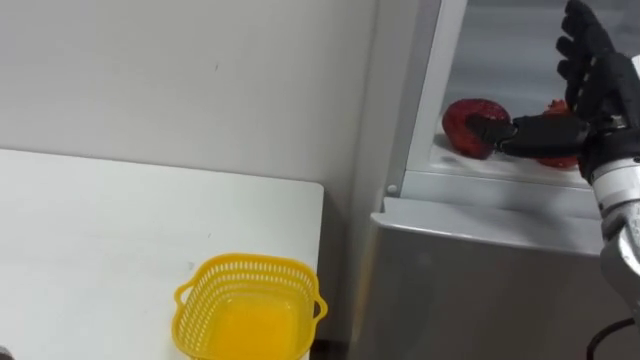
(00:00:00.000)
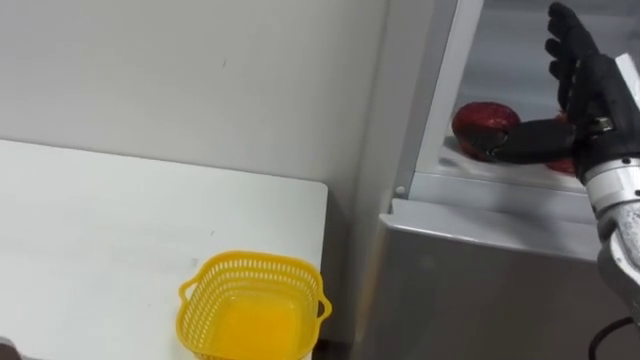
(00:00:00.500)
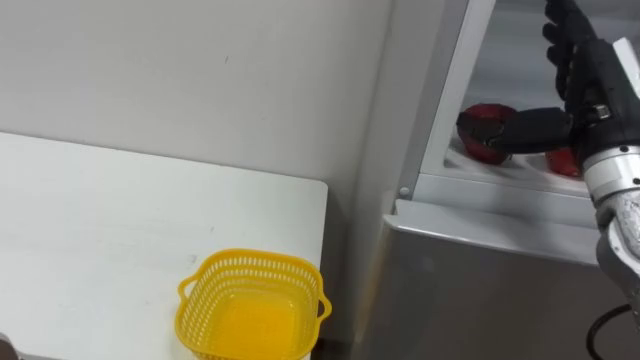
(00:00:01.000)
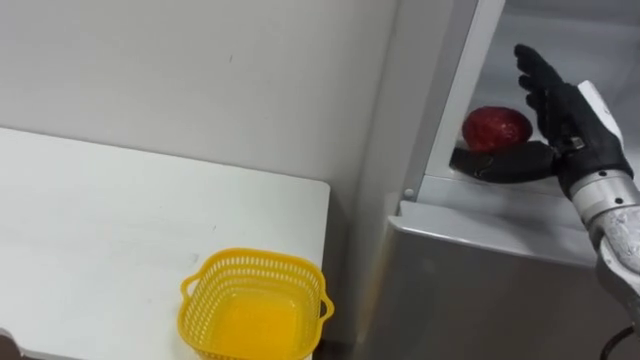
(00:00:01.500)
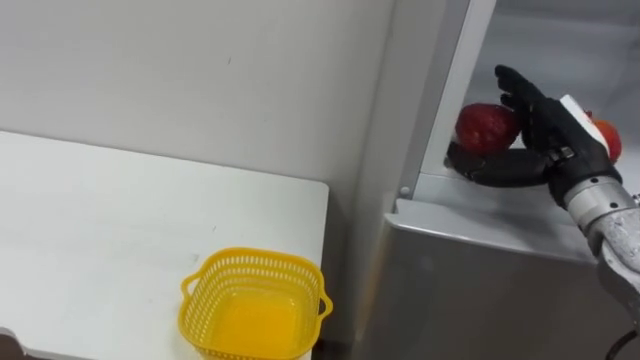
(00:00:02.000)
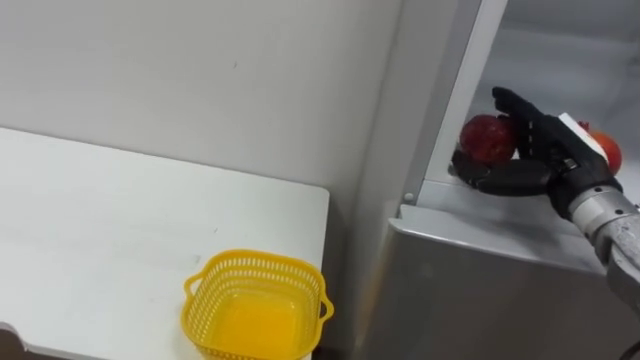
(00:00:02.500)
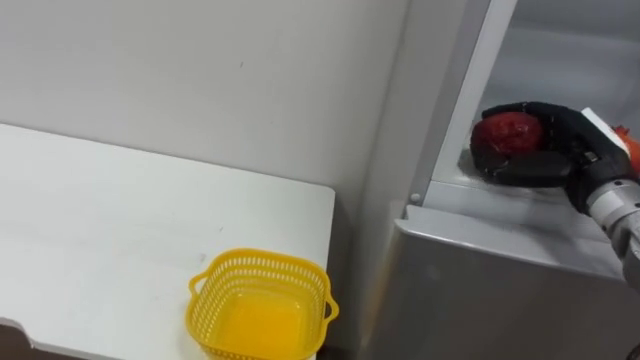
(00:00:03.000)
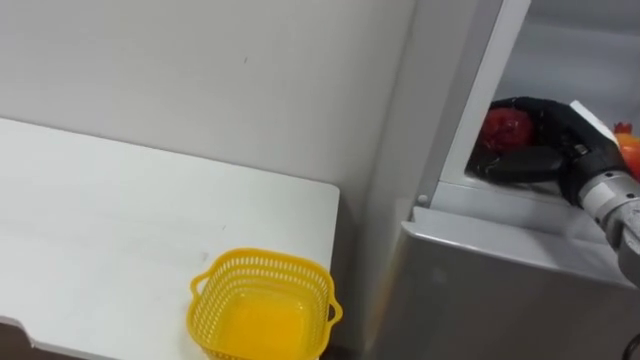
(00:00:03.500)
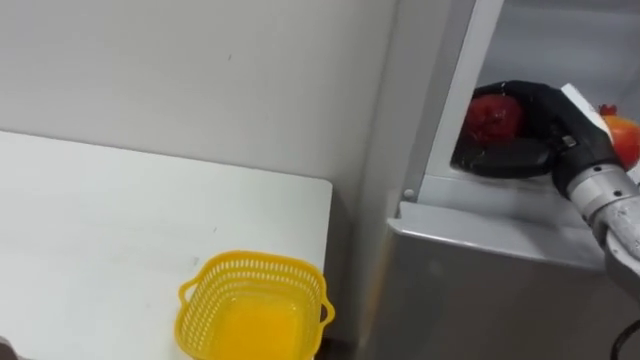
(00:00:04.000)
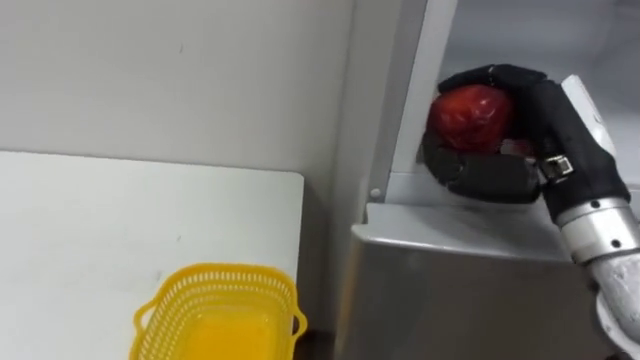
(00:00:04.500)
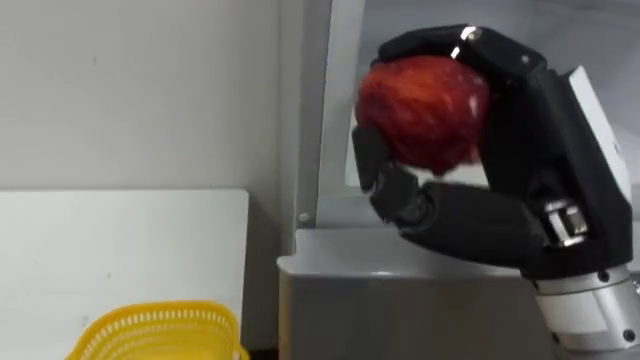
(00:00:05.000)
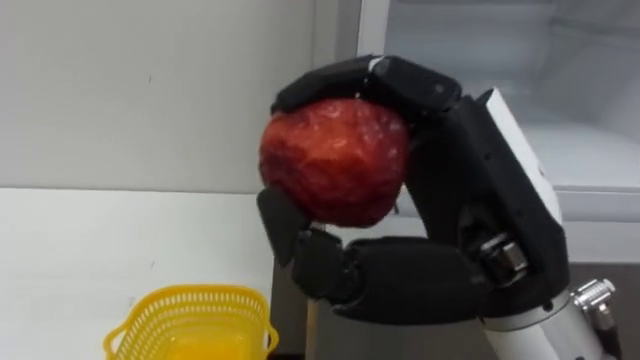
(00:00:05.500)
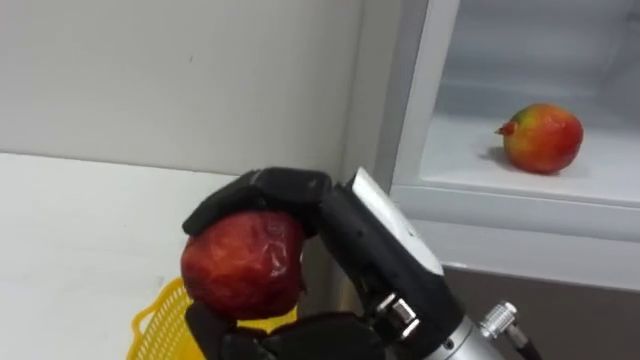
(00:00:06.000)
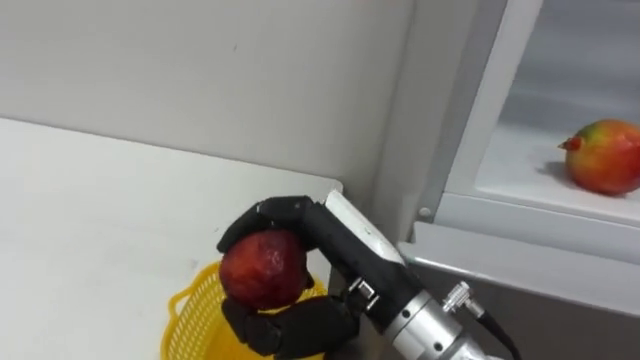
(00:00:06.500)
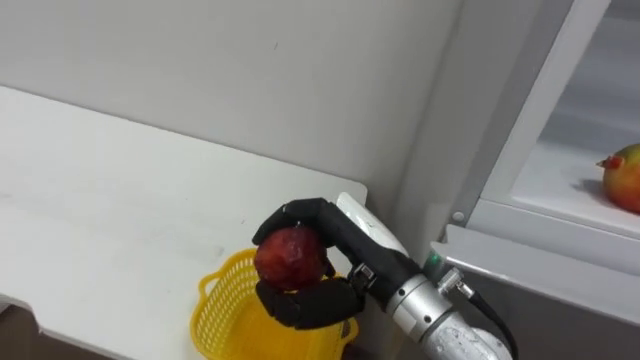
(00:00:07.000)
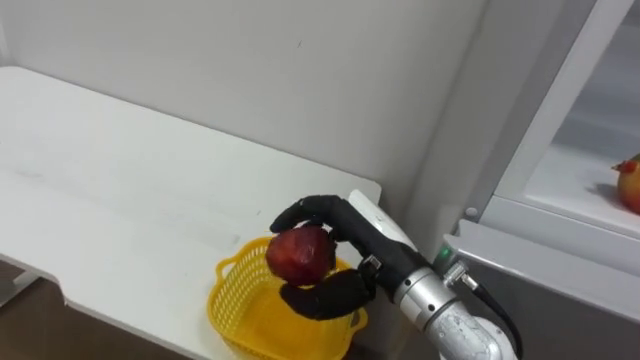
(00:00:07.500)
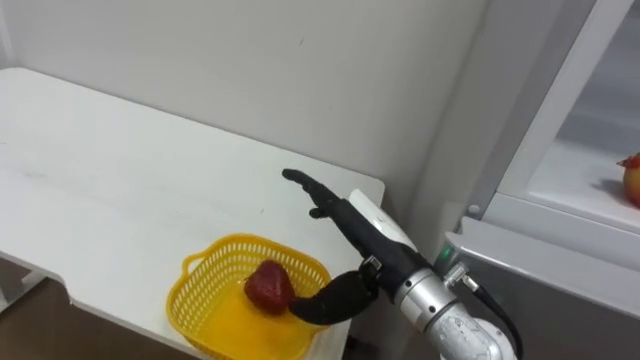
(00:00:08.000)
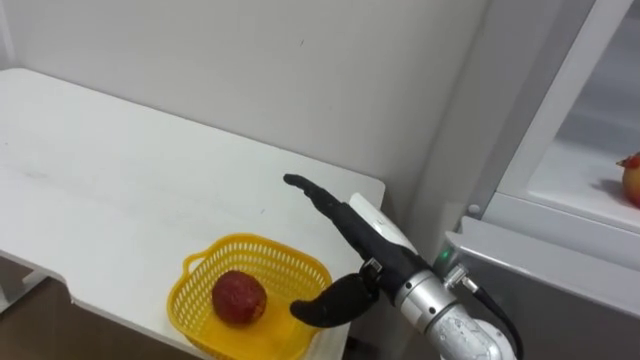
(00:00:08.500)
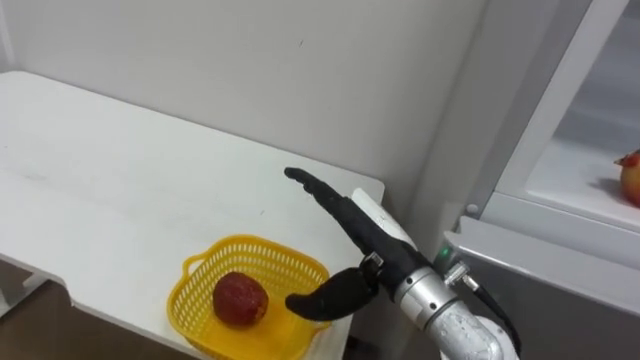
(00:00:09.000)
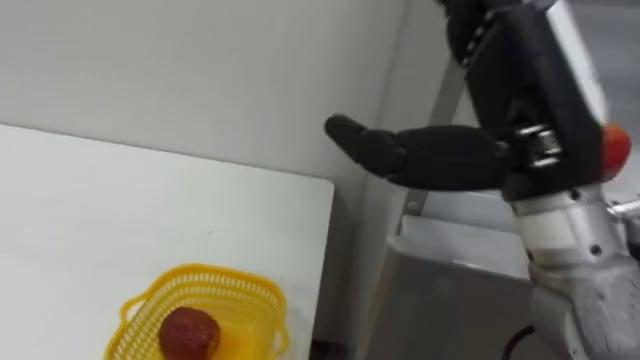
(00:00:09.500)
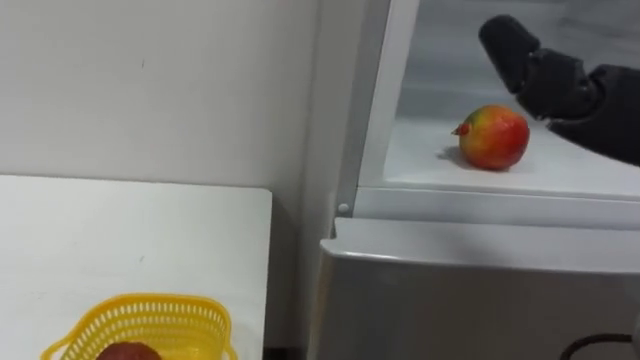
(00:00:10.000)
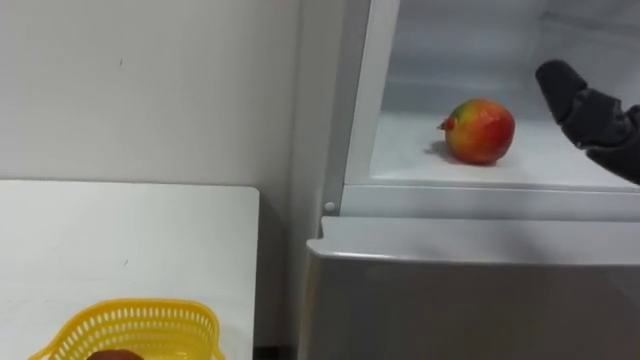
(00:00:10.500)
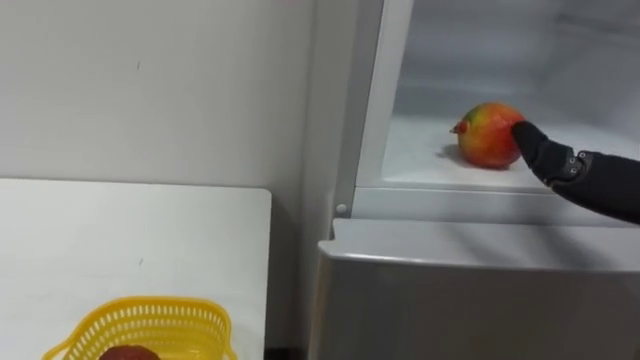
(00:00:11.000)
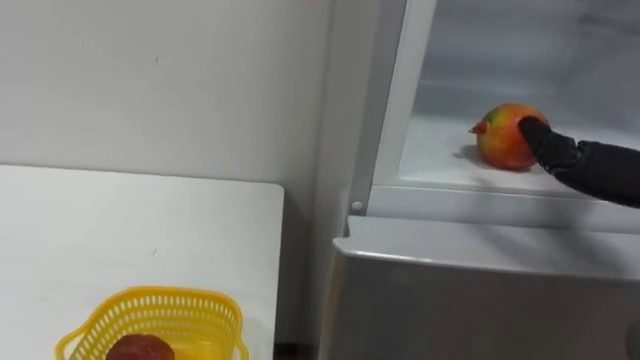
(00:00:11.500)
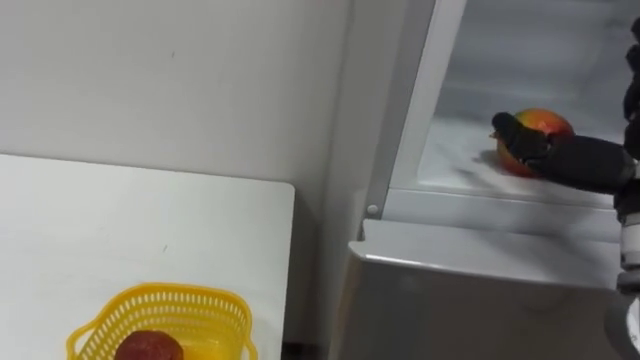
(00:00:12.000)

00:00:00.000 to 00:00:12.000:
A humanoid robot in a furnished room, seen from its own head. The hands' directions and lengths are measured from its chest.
Task of the whole recording: Open the refrigerator door, take out the apple and the pomegranate, place them in the fruit basket on the left, and close the refrigerator door.
00:00:00.000 to 00:00:02.000: The right hand changes place by roughly 5 cm.
00:00:02.000 to 00:00:04.000: The right hand closes its fingers.
00:00:04.000 to 00:00:06.000: The right hand is displaced to the left and backward by about 25 cm.
00:00:06.000 to 00:00:08.000: The right hand travels forward and downward by about 15 cm, and opens its fingers.

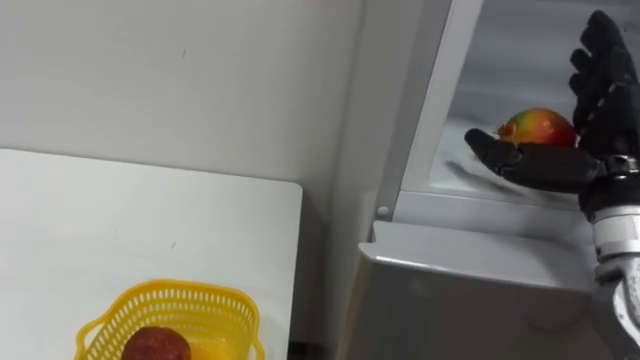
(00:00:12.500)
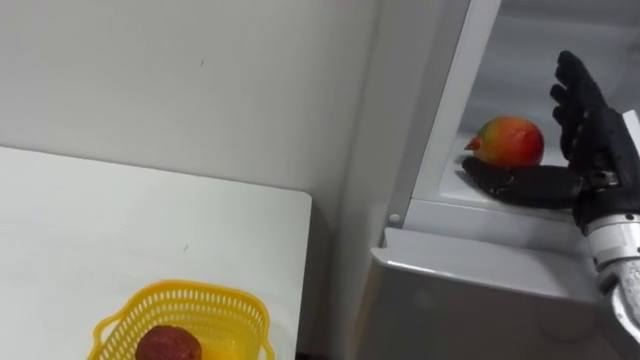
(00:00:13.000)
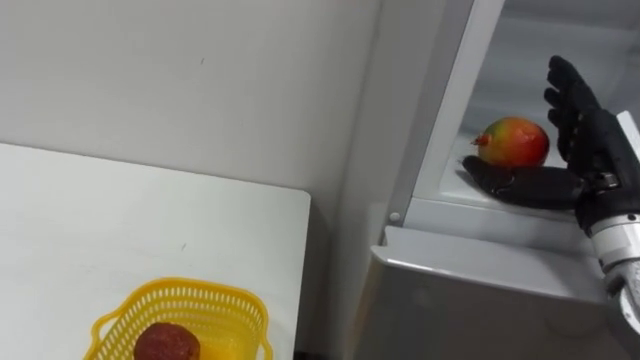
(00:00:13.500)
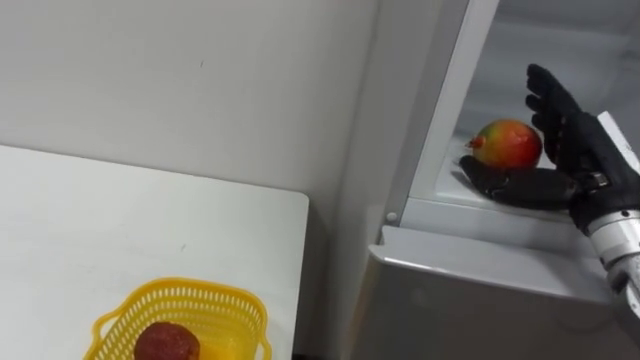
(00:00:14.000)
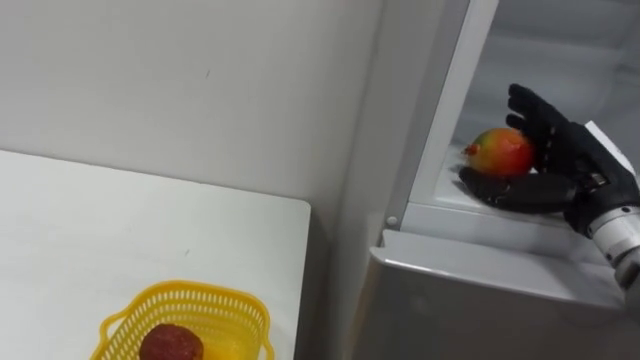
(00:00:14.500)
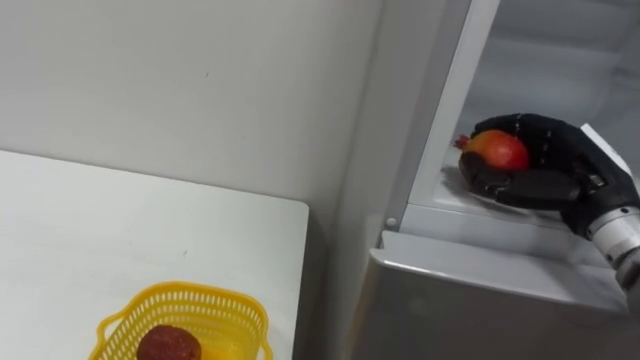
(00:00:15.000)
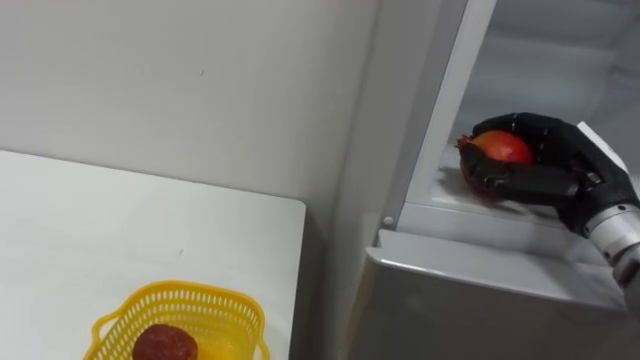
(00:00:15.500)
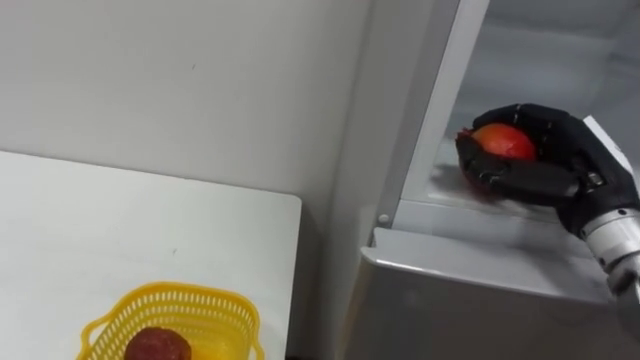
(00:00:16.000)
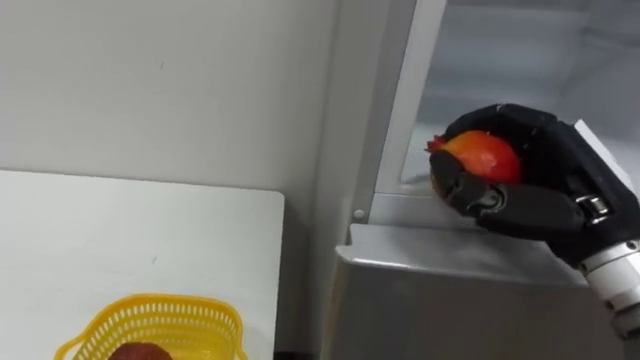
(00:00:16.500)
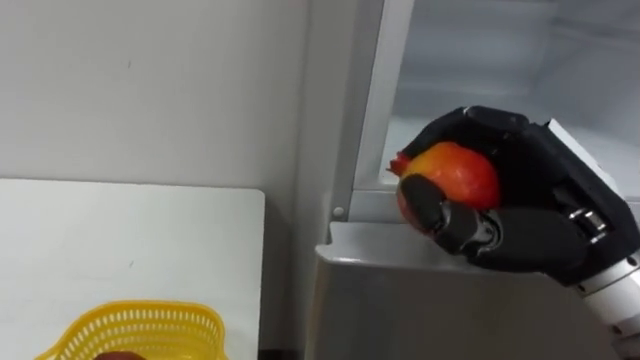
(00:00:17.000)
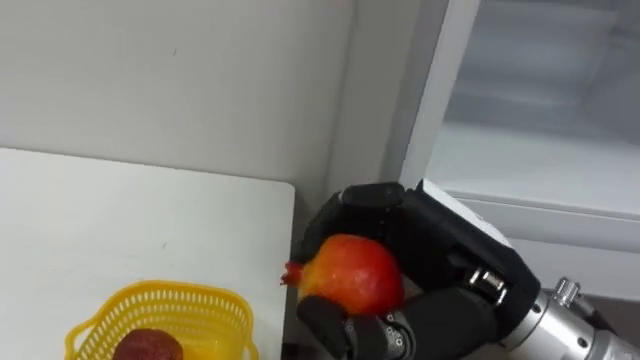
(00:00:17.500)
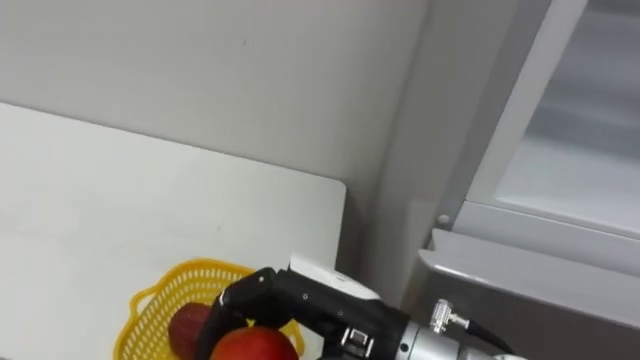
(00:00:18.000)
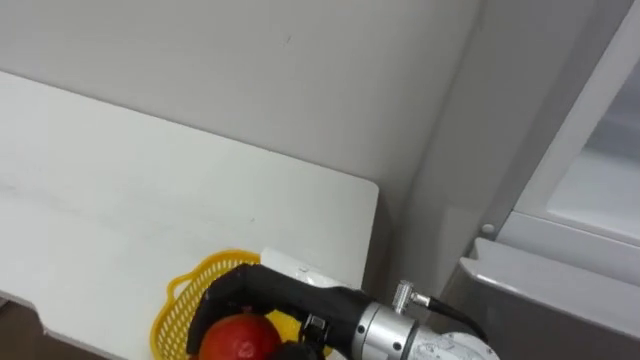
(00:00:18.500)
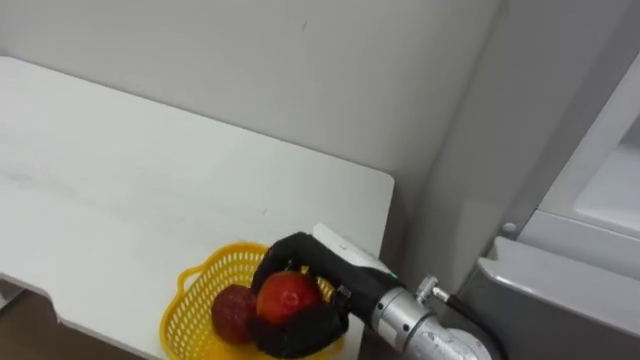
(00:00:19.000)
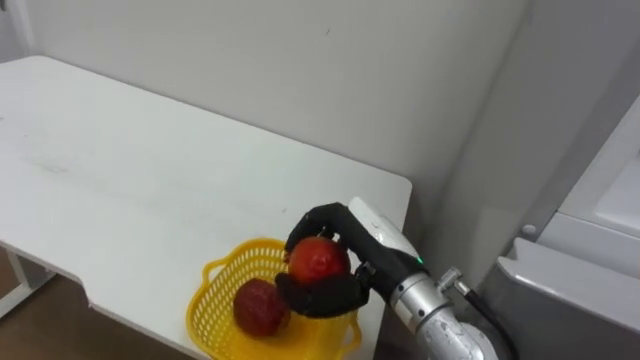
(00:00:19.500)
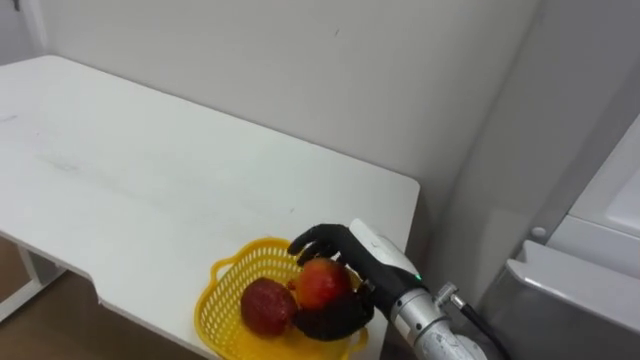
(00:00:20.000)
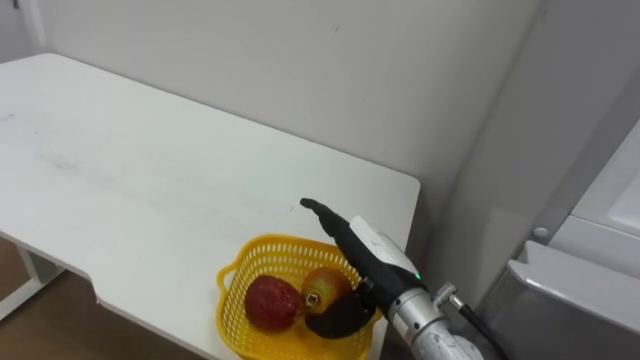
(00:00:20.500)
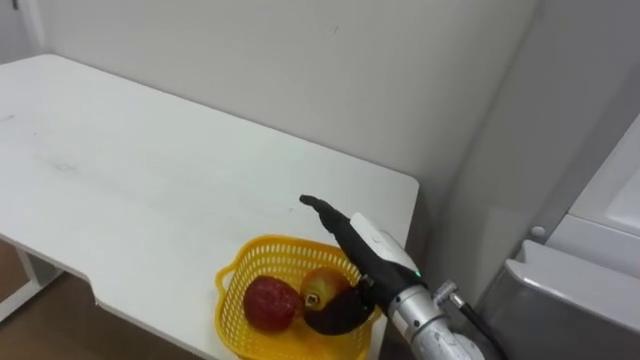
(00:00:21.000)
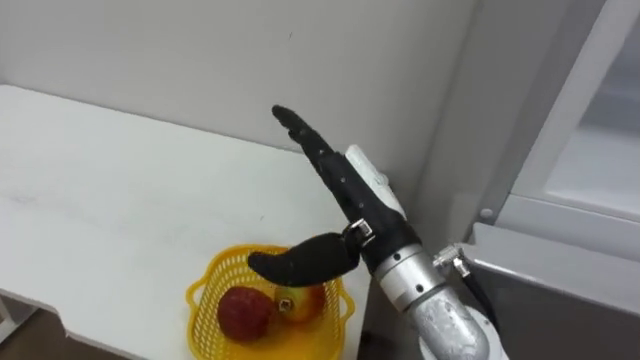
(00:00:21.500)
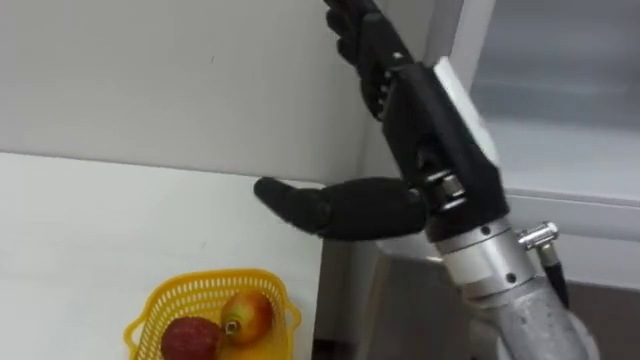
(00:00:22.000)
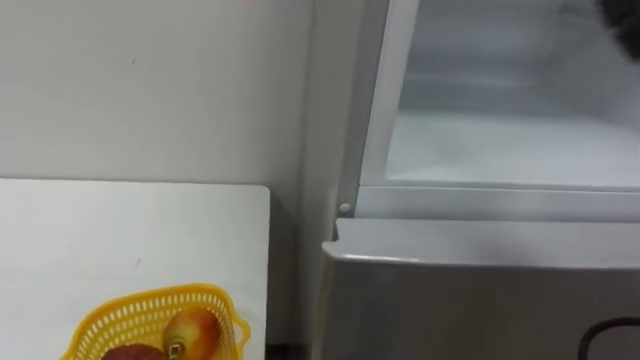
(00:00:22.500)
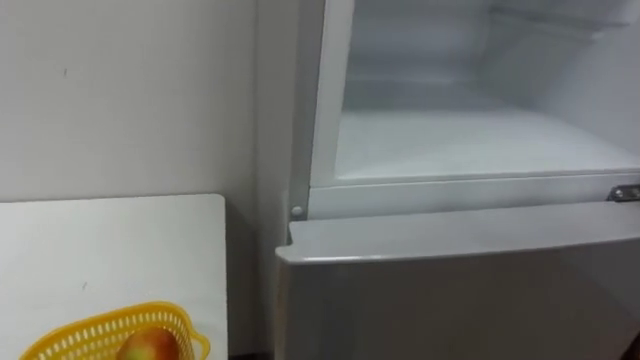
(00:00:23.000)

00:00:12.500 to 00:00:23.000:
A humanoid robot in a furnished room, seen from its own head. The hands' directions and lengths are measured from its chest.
Task of the whole recording: Open the refrigerator door, take out the apple and the pomegranate, place them in the fruit basket on the left, and close the refrigerator door.
00:00:12.500 to 00:00:14.500: The right hand travels downward by some 5 cm.
00:00:14.500 to 00:00:16.500: The right hand travels backward by roughly 5 cm, and closes its fingers.
00:00:16.500 to 00:00:19.000: The right hand is displaced to the left and downward by approximately 20 cm.
00:00:19.000 to 00:00:21.000: The right hand moves about 5 cm, and opens its fingers.
